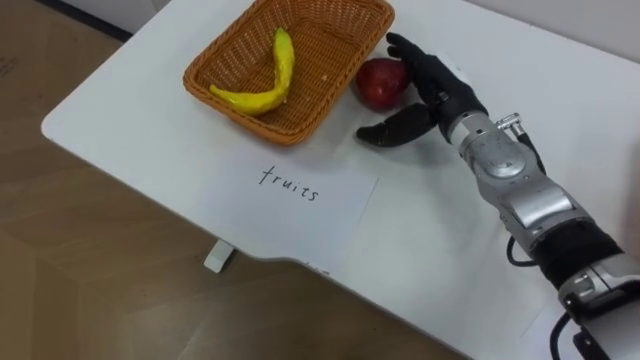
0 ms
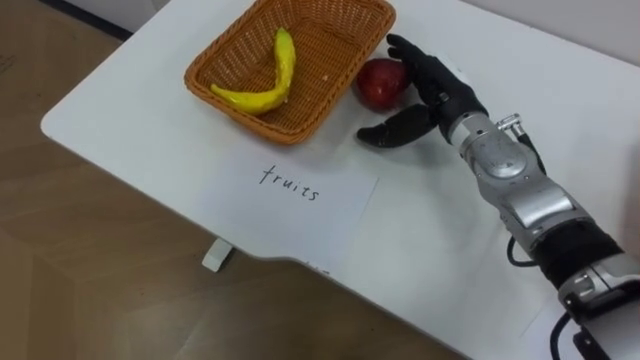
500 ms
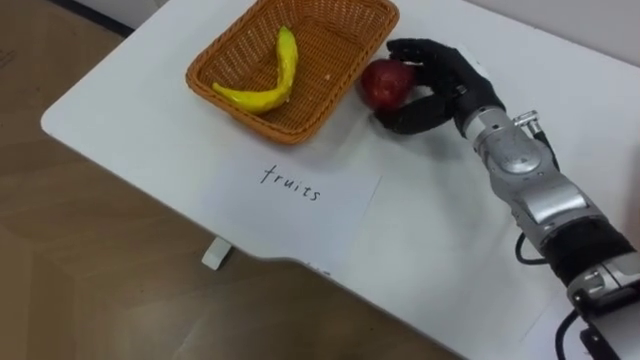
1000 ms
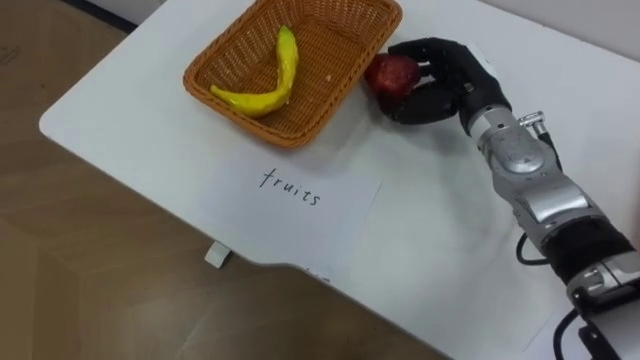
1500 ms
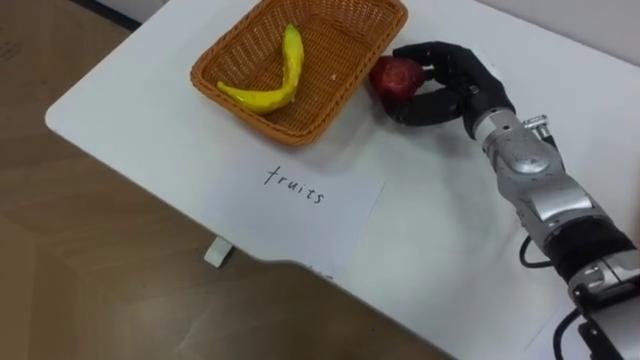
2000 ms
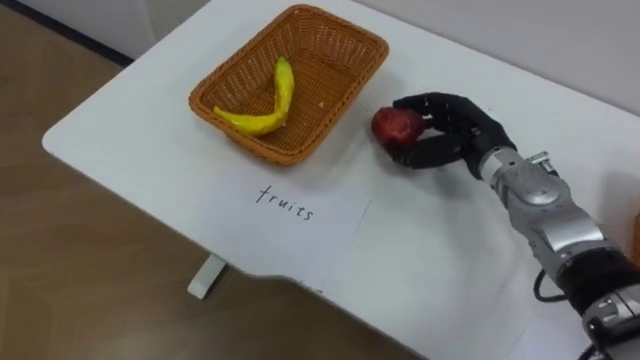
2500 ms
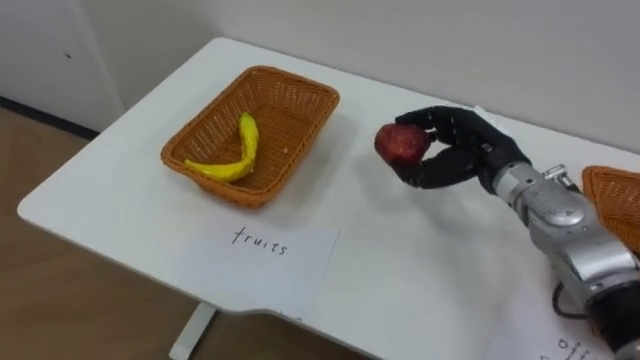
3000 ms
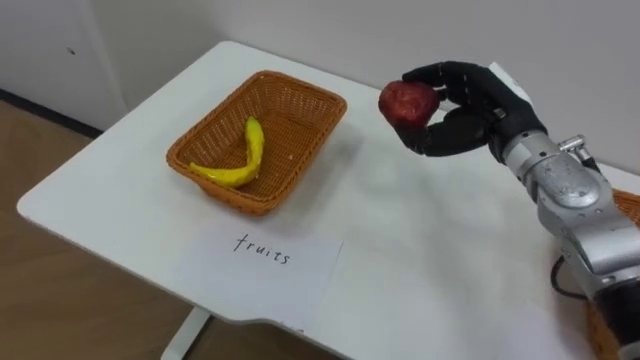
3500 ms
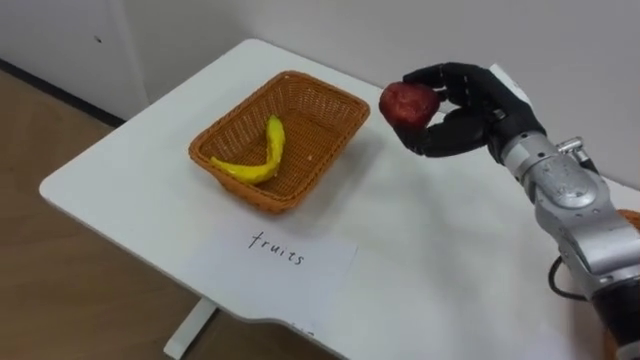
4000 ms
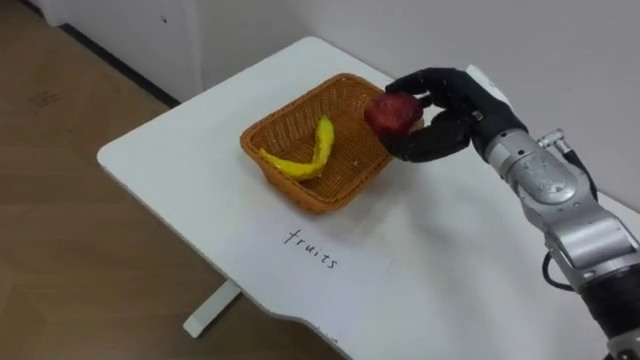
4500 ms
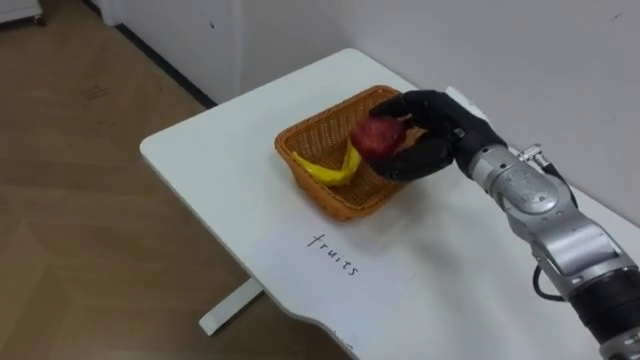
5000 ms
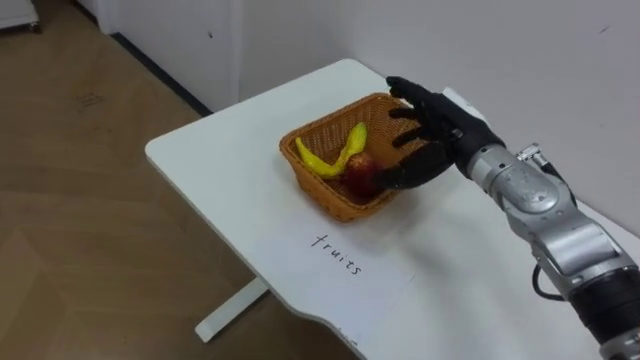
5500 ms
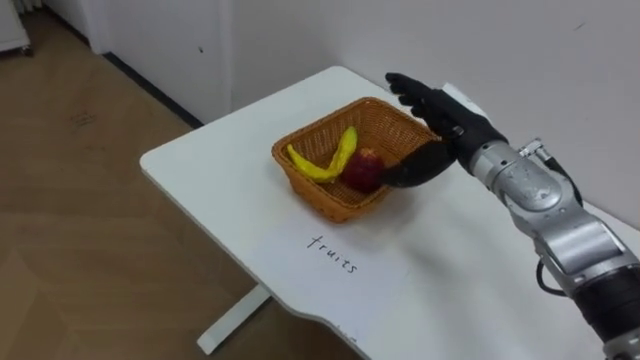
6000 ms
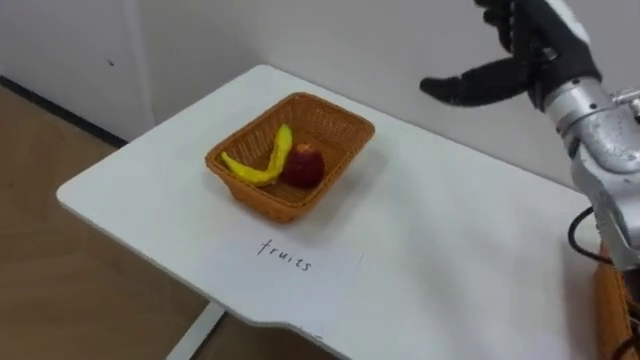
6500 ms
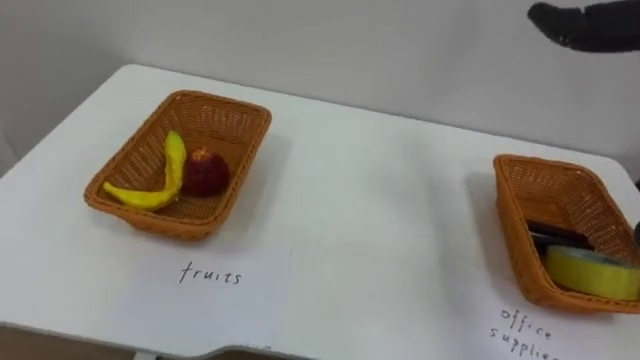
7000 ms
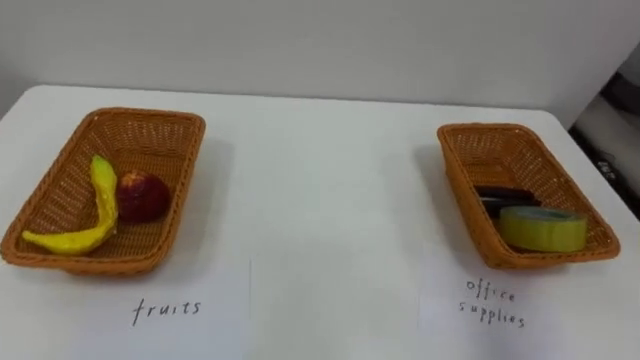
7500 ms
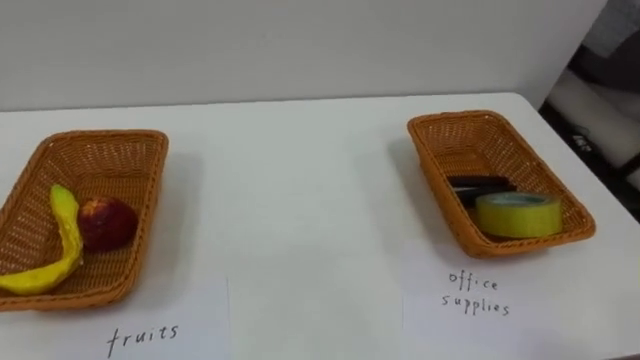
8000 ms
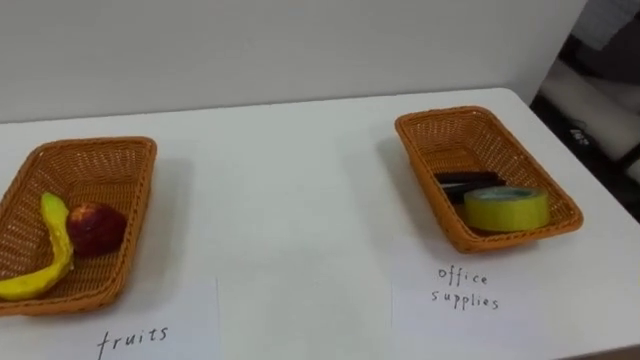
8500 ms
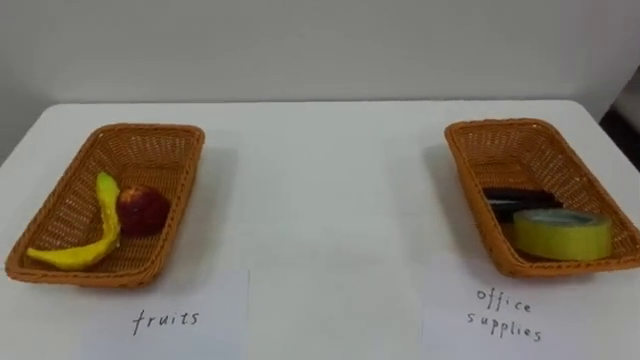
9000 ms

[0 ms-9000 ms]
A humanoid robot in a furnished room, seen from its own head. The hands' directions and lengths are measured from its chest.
Task of the whole recording: Separate the items on the table and place them into the two baskets.
0 ms to 2000 ms: The right hand closes up.

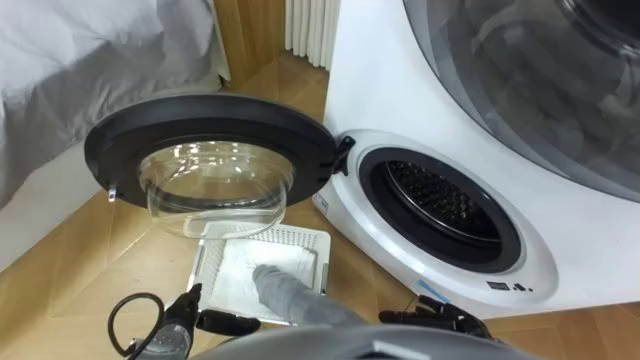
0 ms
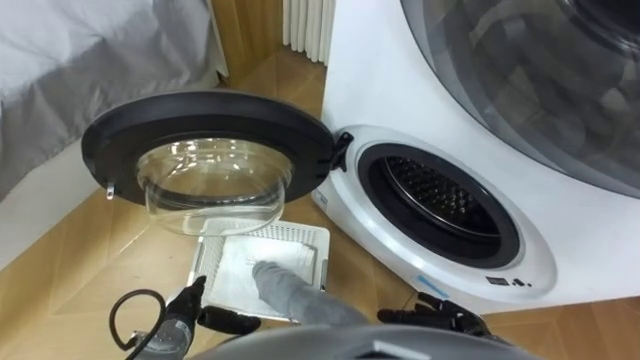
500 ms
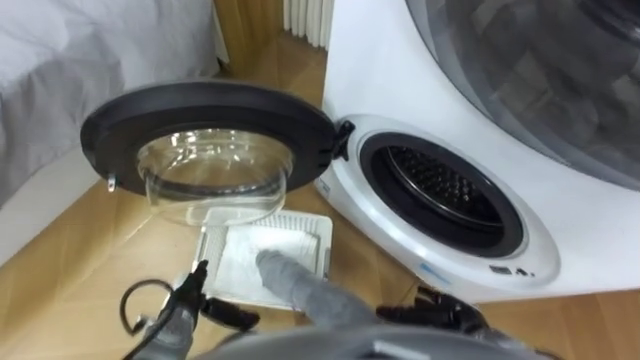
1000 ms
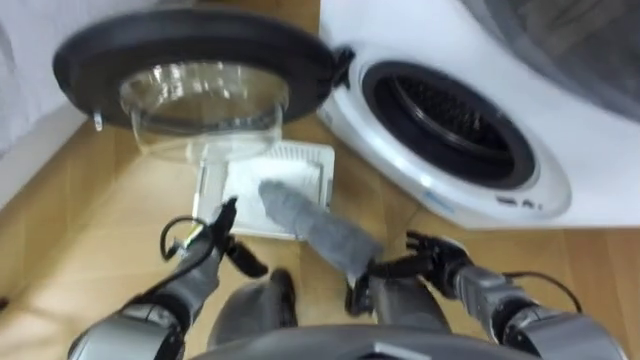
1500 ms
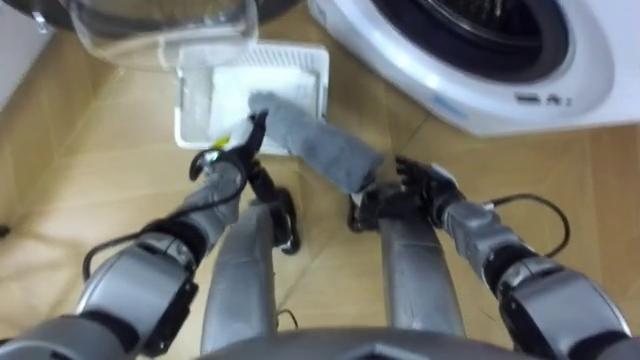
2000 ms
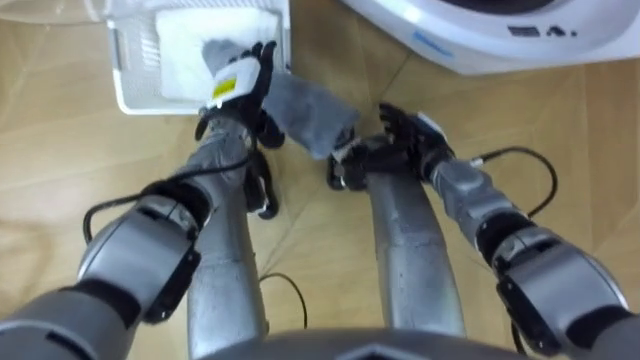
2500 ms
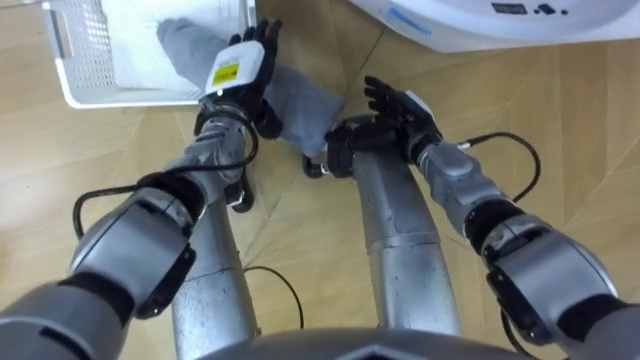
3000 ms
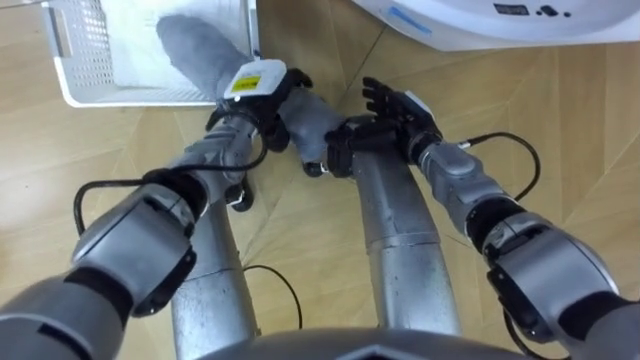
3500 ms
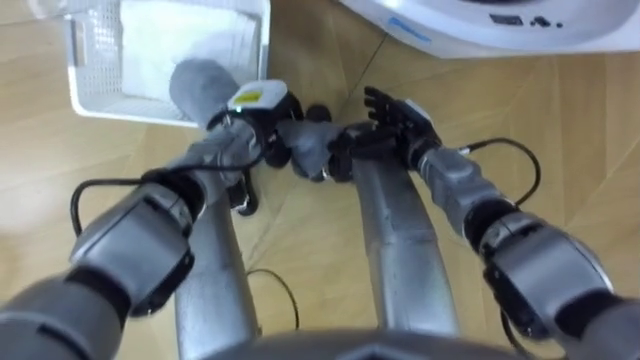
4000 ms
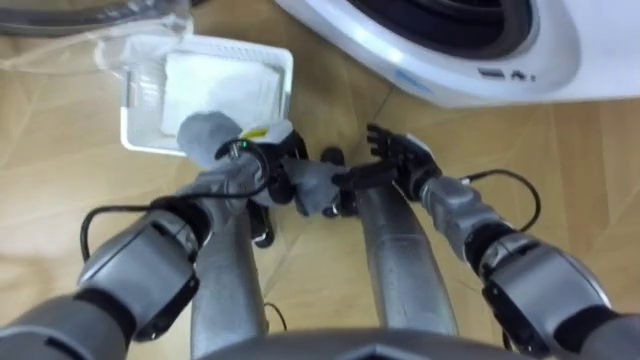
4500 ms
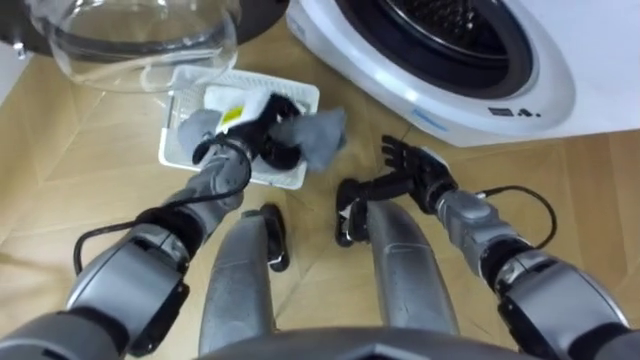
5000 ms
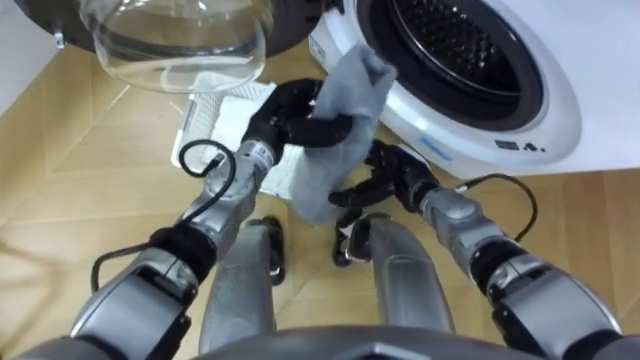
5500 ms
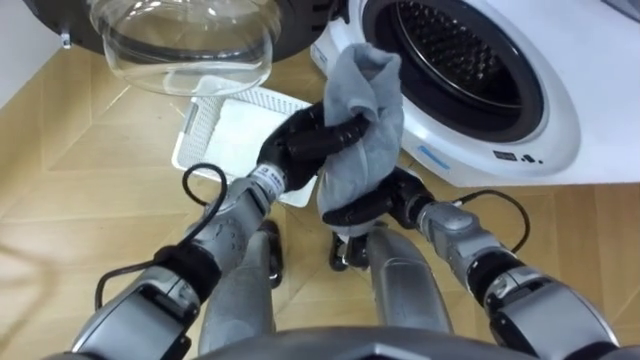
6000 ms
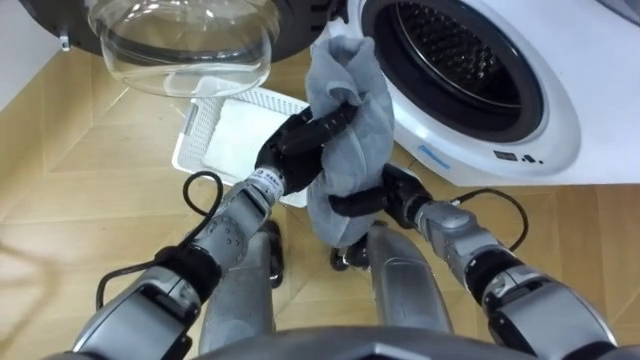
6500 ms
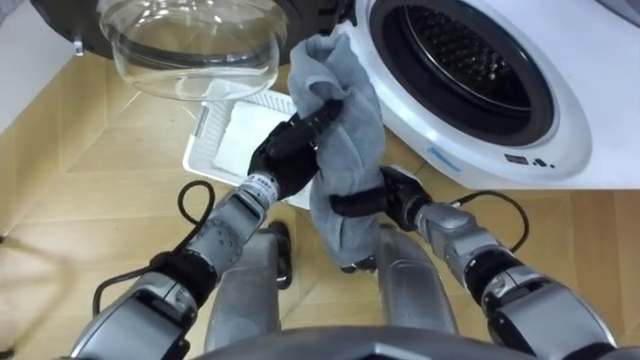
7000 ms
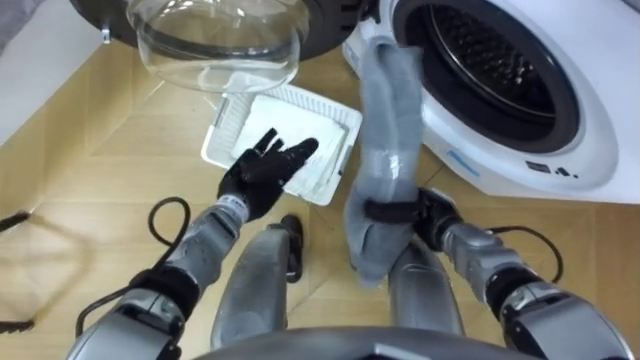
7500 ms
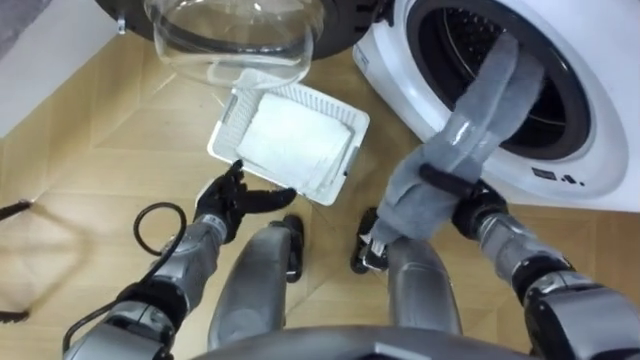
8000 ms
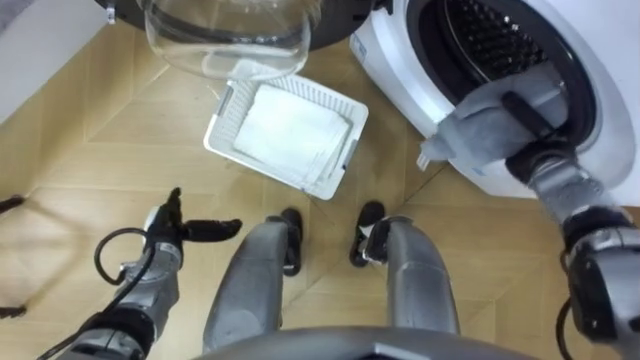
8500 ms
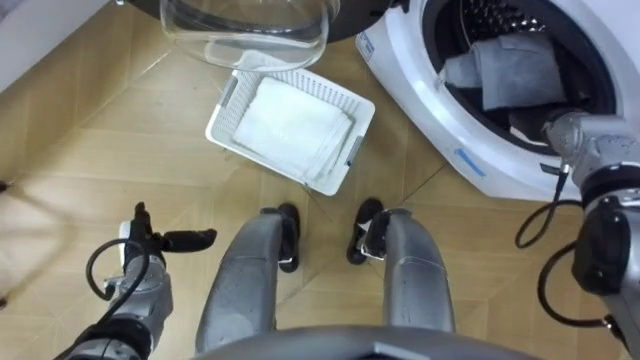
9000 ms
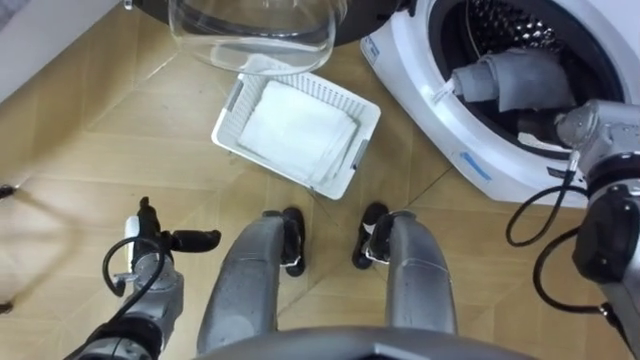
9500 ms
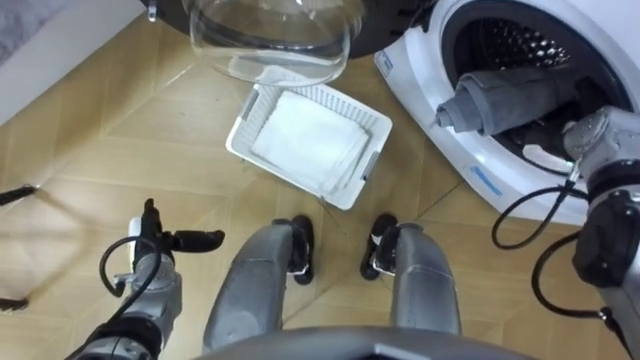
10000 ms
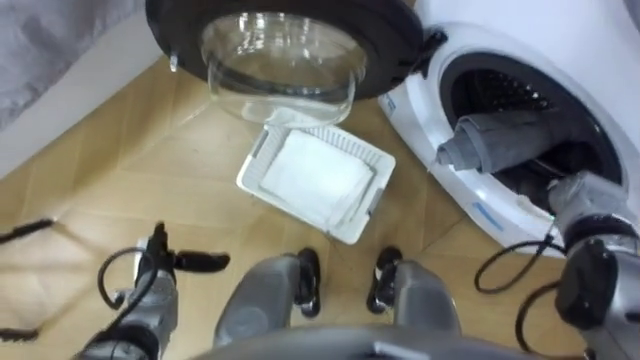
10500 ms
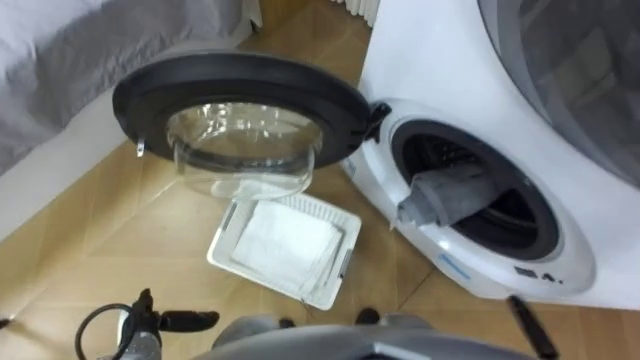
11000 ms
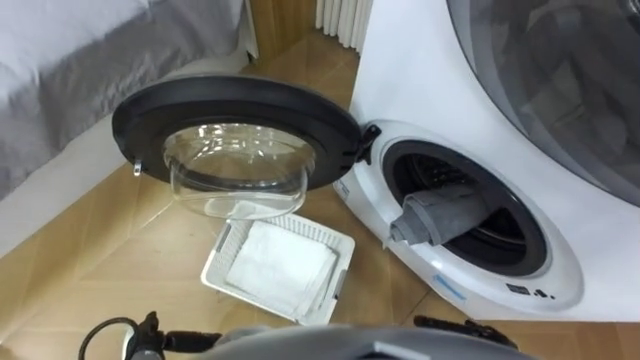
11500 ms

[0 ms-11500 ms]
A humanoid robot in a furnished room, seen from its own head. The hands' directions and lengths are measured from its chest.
Task of the whole recording: Take the towel from the basket and put it into the washing machine.
2000 ms to 4000 ms: The right hand goes some 10 cm forward, upward and to the left, while the left hand closes its fingers.
4000 ms to 6000 ms: The left hand travels backward and to the right by approximately 10 cm. Meanwhile the right hand is displaced backward and downward by roughly 10 cm.
6000 ms to 7500 ms: The left hand heads to the left and downward, covering about 10 cm, and opens up. Meanwhile the right hand heads to the right, covering some 5 cm, and closes up.
7500 ms to 9500 ms: The right hand heads to the right, upward and forward, covering roughly 25 cm, and opens its fingers. The left hand heads to the left and backward, covering roughly 20 cm.
9500 ms to 11500 ms: The left hand travels backward by approximately 15 cm.
